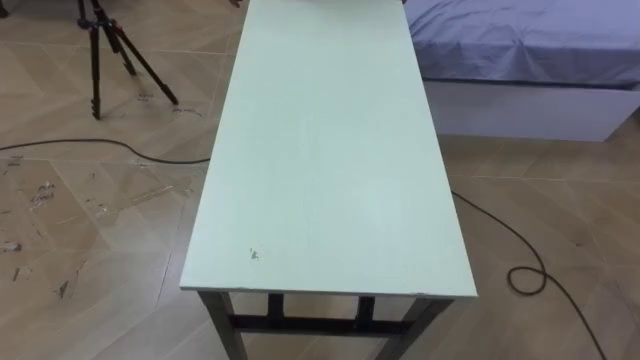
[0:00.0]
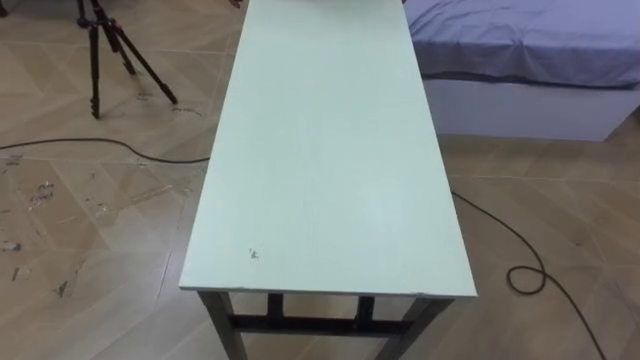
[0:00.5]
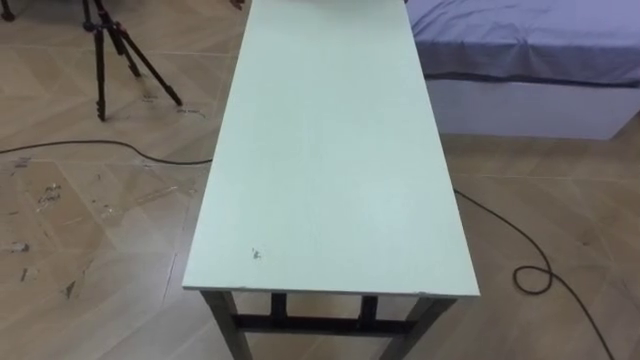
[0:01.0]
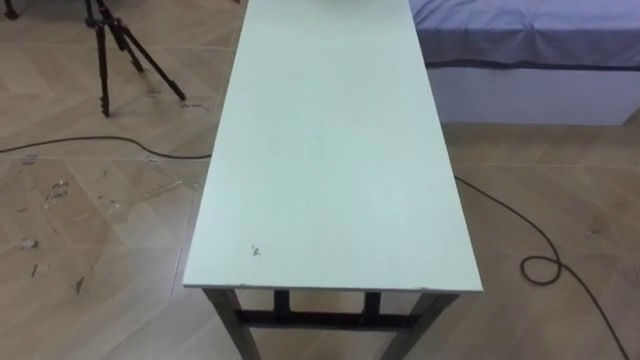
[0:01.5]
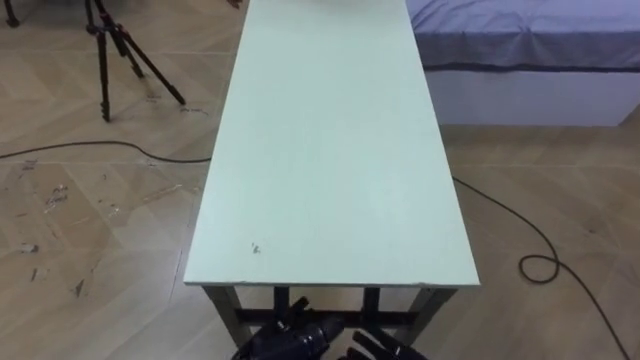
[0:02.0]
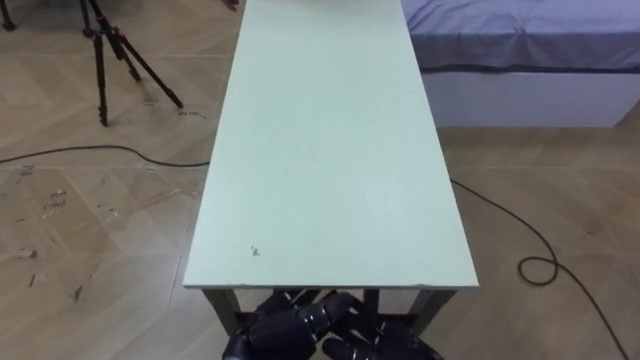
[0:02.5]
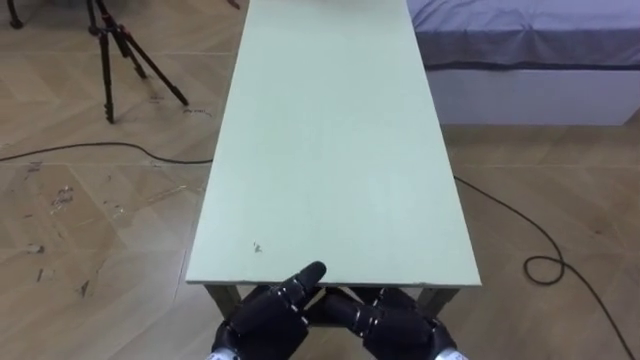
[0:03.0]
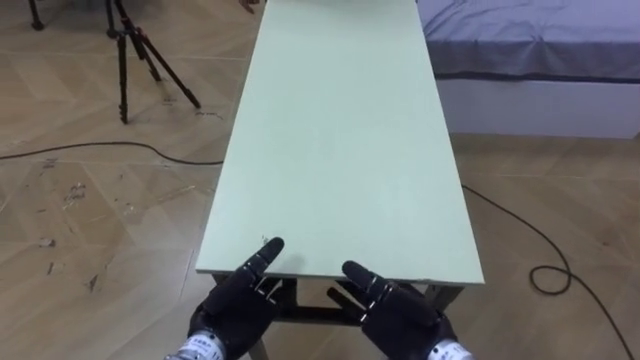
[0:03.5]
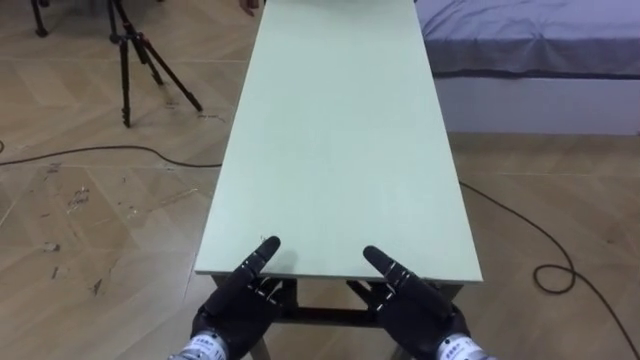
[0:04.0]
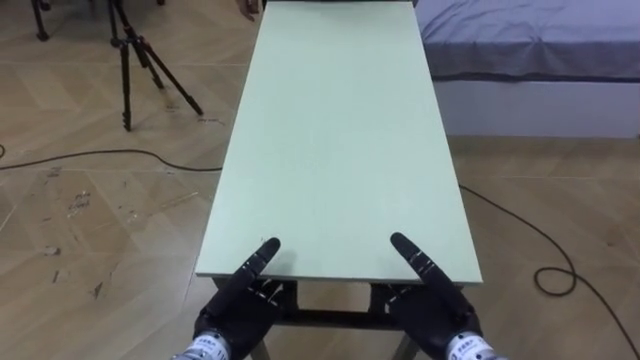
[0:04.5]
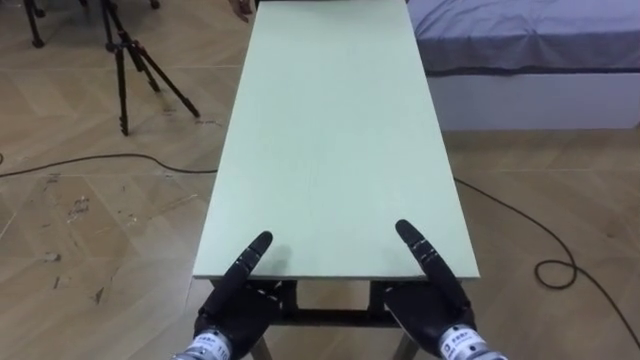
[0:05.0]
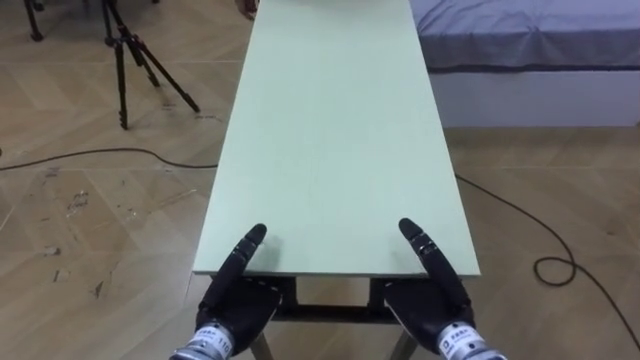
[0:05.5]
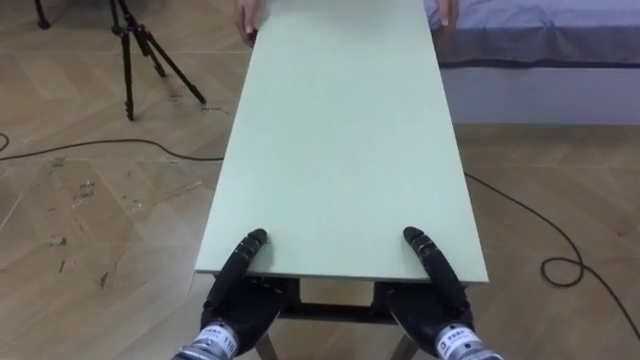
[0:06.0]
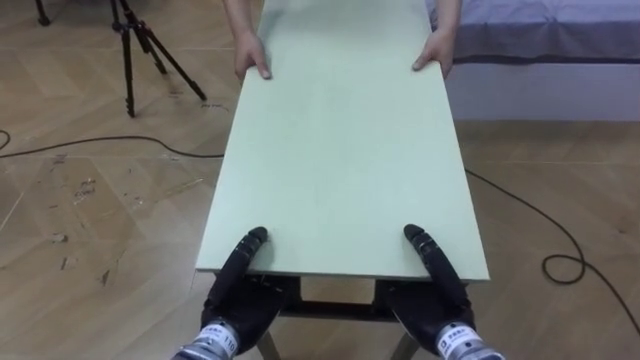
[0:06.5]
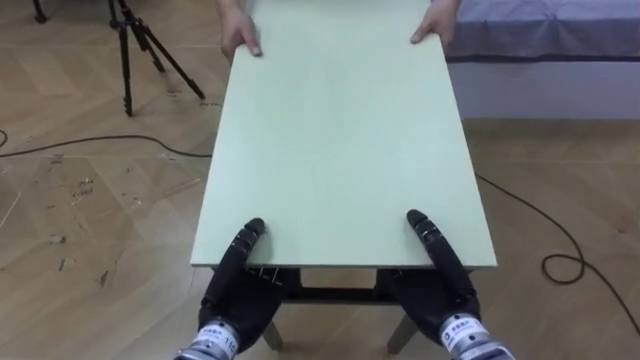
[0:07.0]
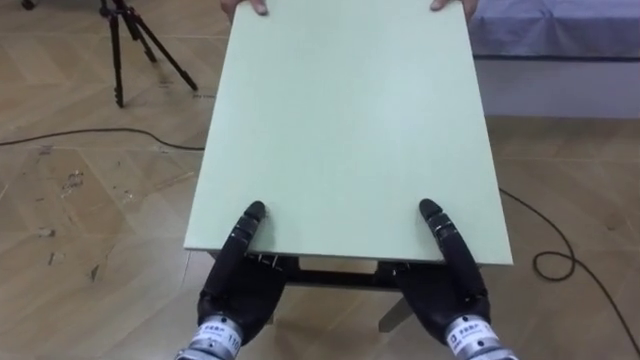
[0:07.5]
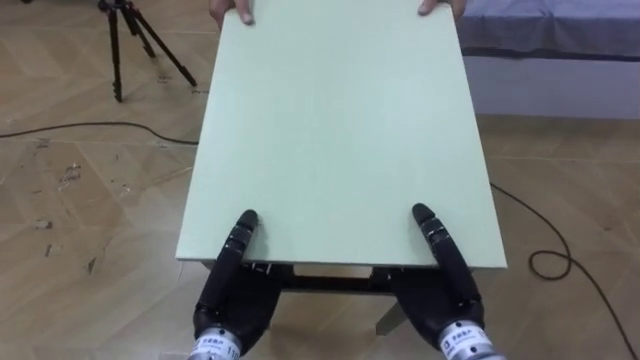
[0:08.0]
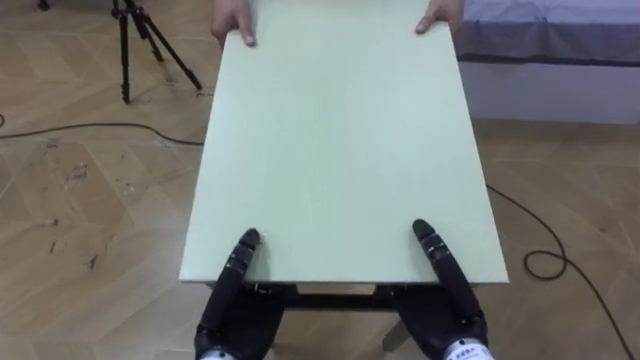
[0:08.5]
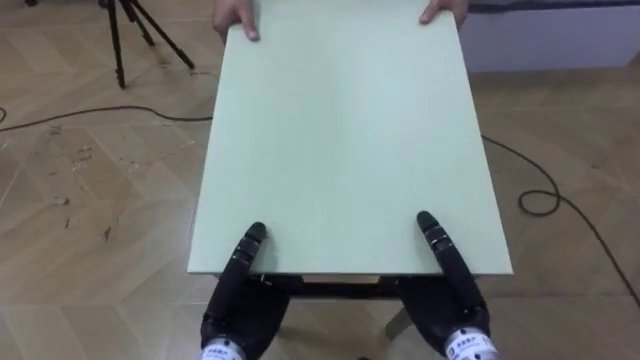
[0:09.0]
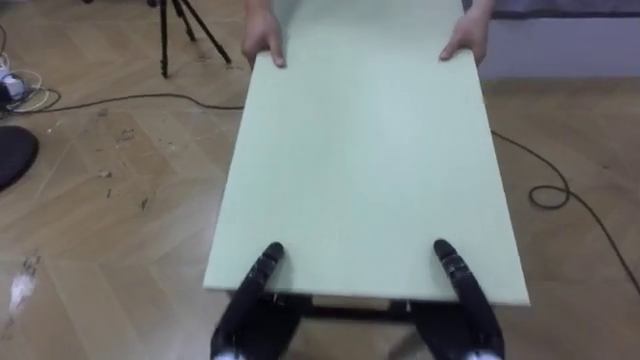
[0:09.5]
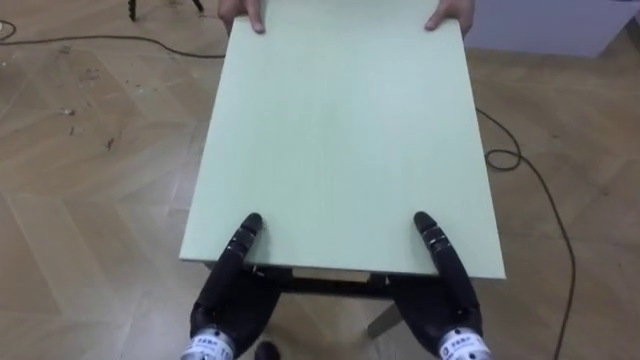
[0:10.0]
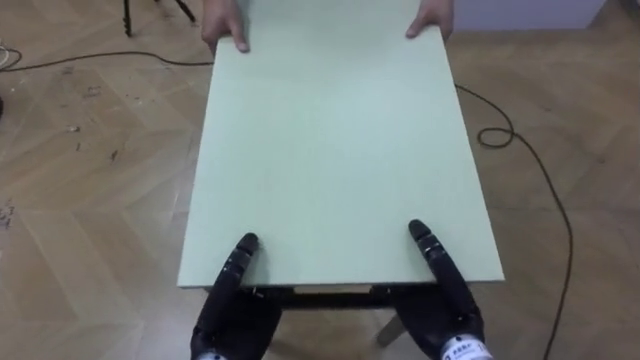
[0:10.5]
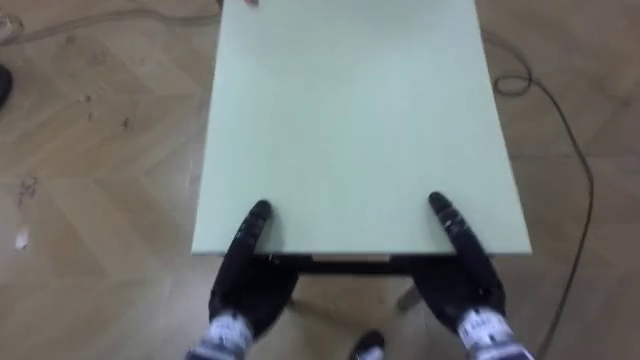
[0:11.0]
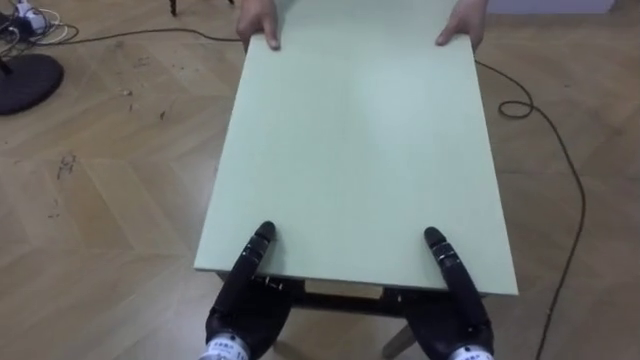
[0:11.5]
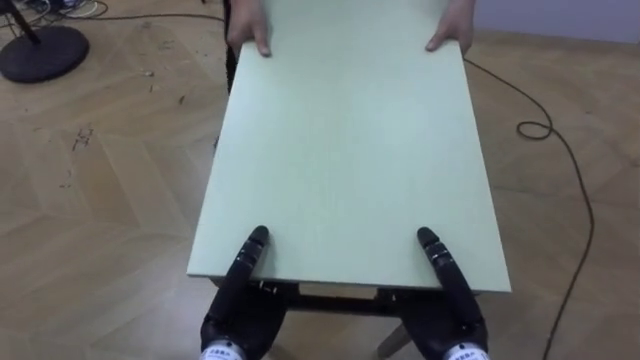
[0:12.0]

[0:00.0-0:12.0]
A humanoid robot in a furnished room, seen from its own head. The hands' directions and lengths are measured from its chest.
Task of the whole recording: Move the table to the back left with someone.
0:02.0 to 0:04.0: The left hand heads forward, covering some 5 cm.
0:04.0 to 0:06.0: The right hand closes up. Meanwhile the left hand closes.
0:06.0 to 0:08.0: Both hands move upward, roughly 5 cm.

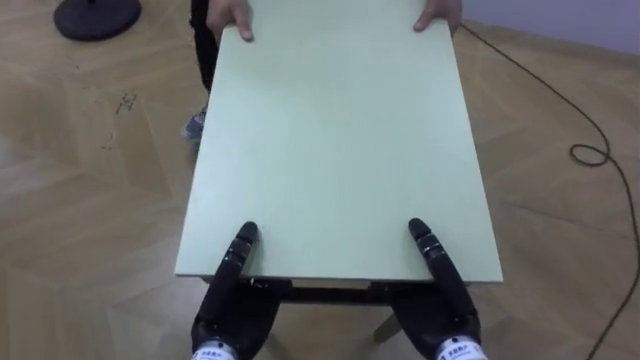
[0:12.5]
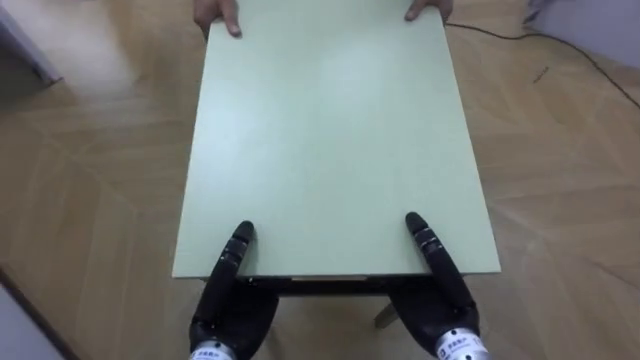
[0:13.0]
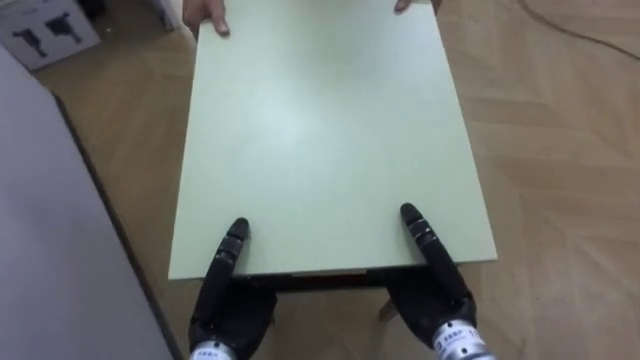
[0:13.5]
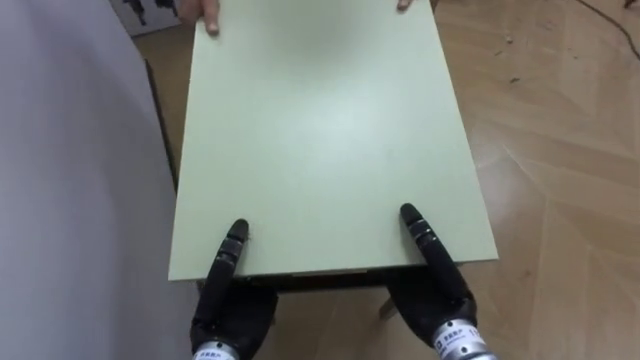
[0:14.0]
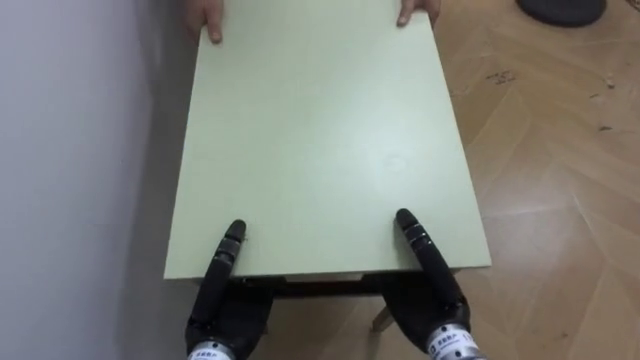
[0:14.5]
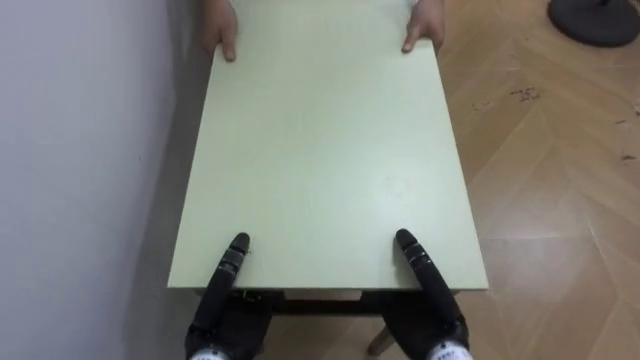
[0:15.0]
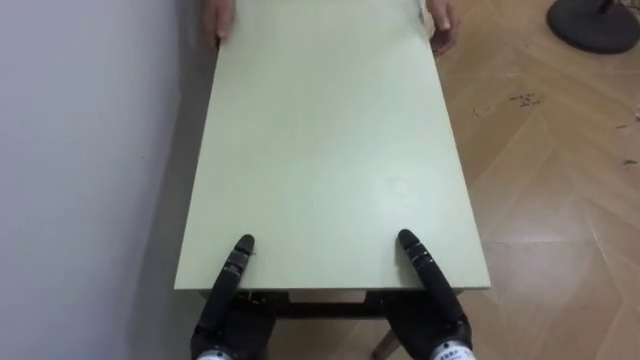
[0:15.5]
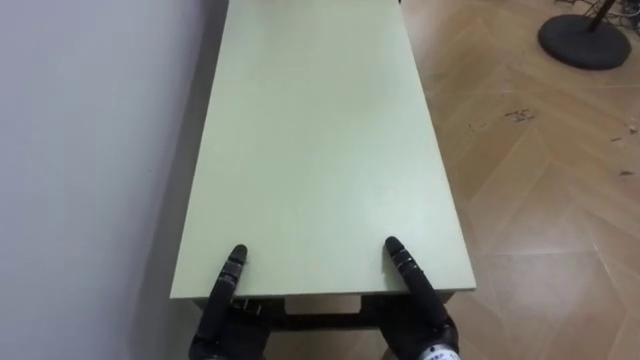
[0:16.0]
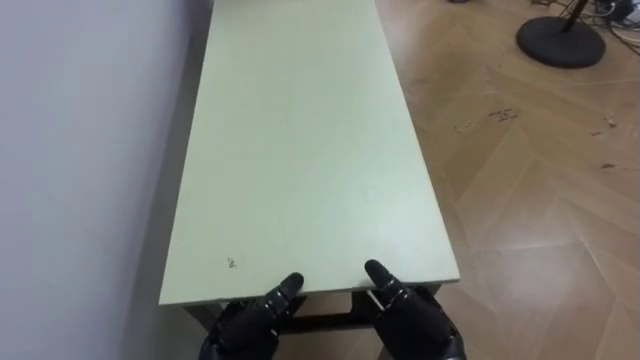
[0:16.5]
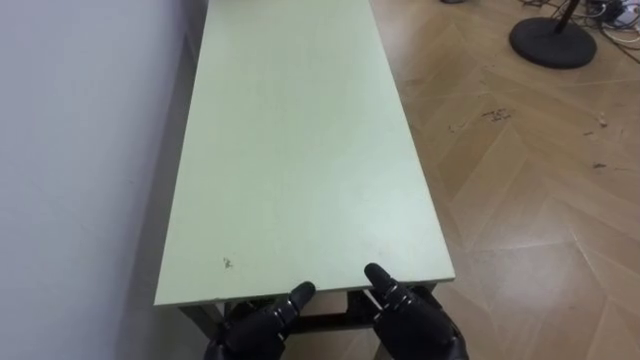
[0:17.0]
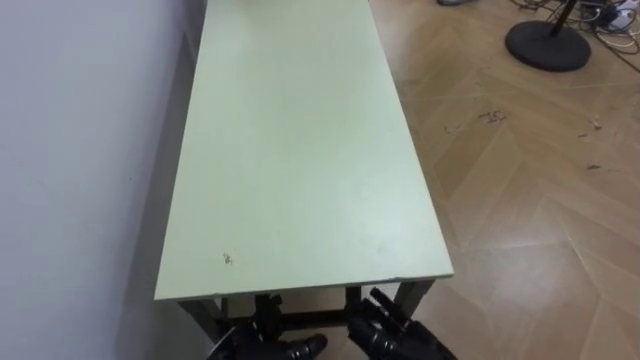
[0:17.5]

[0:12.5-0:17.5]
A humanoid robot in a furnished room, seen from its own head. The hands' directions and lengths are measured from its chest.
Task of the whole recording: Move the table to the back left with someone.
0:12.5 to 0:15.0: The robot rotates approximately 75 degrees to its left.
0:15.0 to 0:17.5: Both hands move downward, approximately 5 cm. The left hand opens up. The right hand opens.

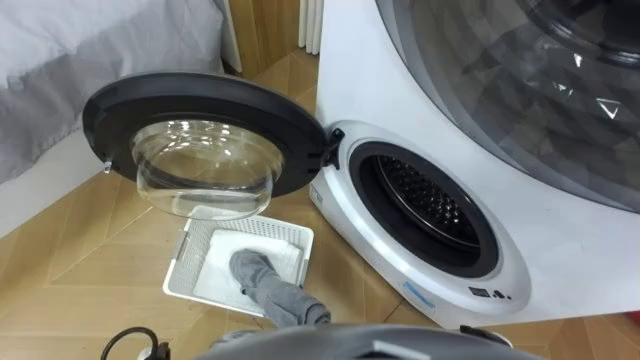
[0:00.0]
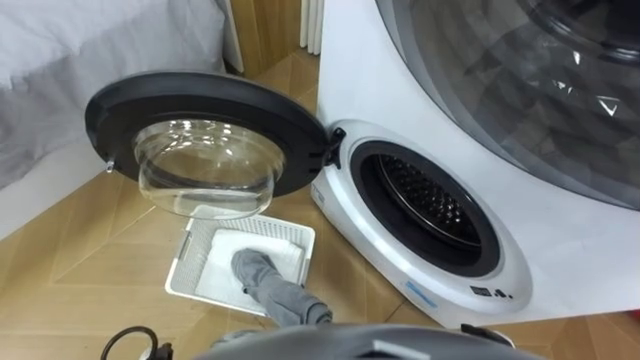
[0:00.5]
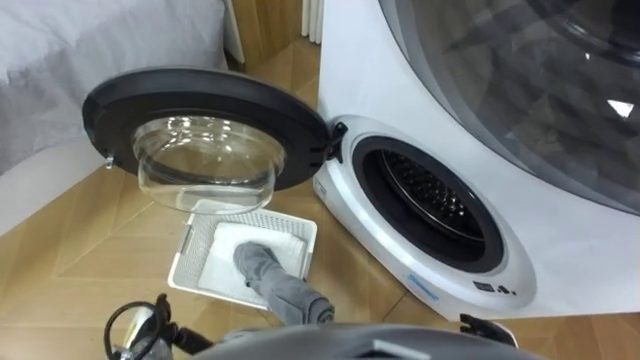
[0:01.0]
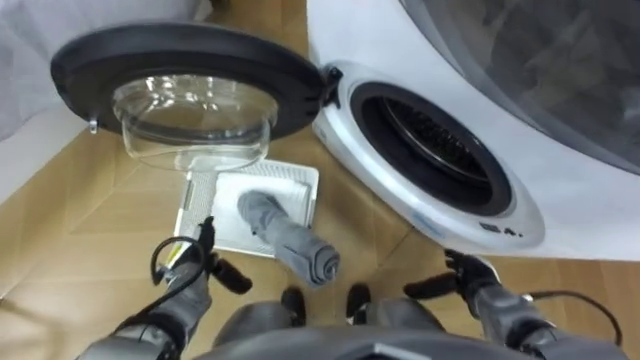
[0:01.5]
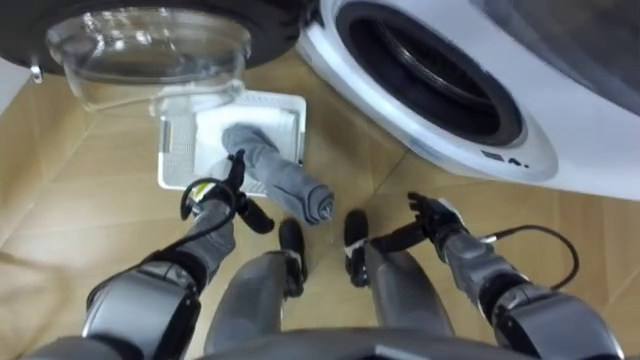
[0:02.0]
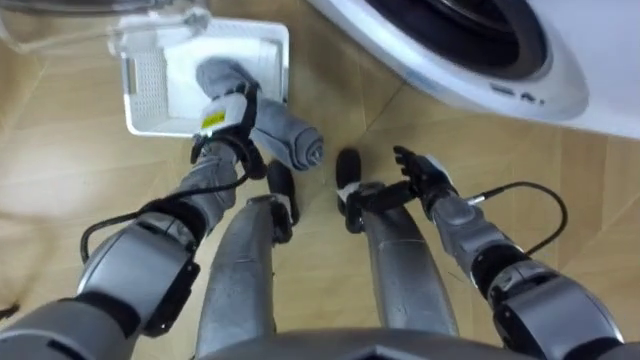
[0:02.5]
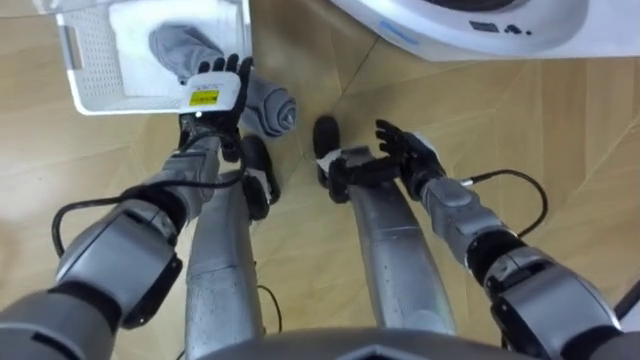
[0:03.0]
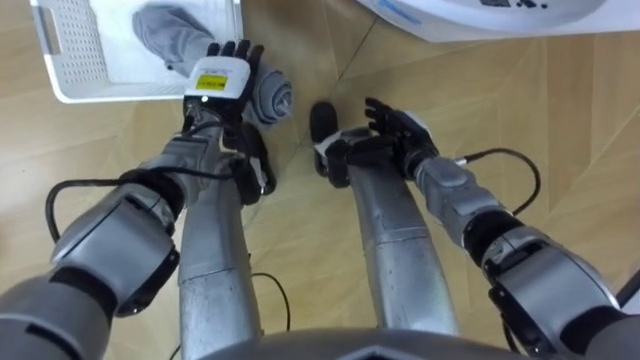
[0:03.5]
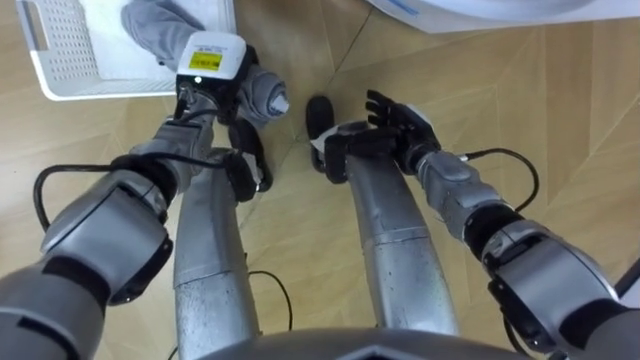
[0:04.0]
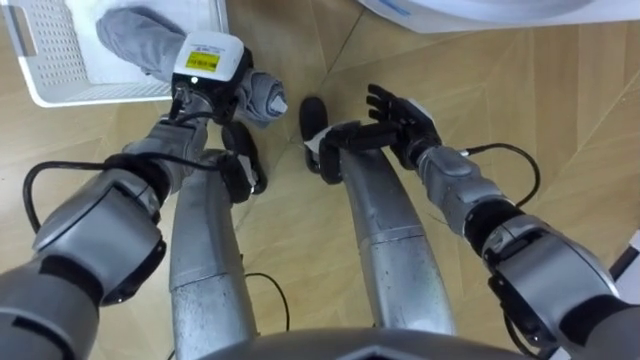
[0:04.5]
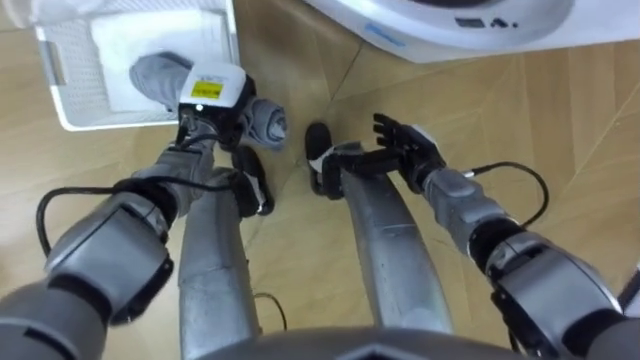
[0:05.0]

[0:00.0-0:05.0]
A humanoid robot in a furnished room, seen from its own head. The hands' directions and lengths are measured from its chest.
Task of the whole recording: Take the towel from the basket and put it into the washing machine.
0:02.5 to 0:05.0: The left hand closes its fingers.
